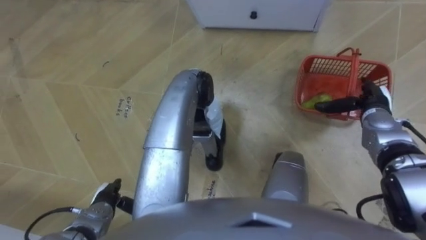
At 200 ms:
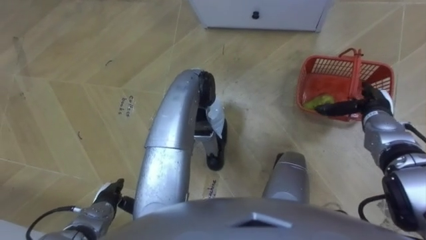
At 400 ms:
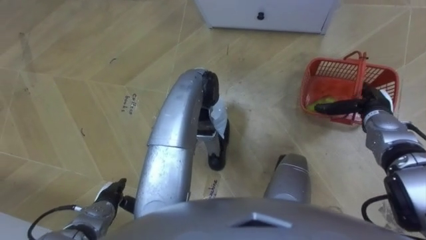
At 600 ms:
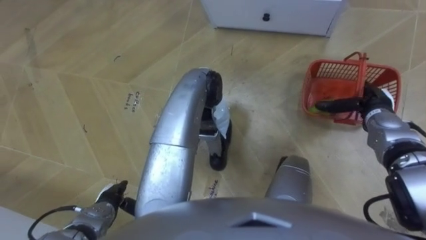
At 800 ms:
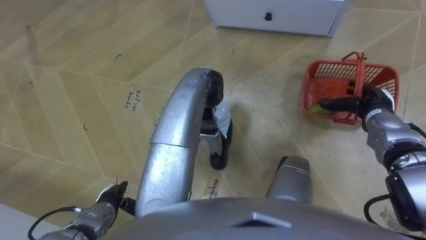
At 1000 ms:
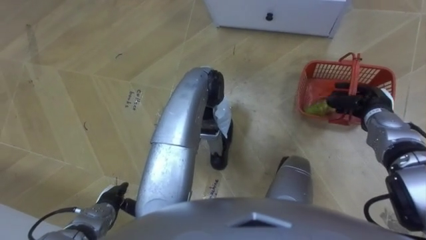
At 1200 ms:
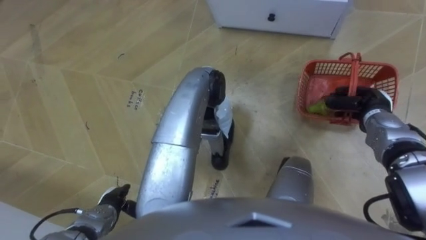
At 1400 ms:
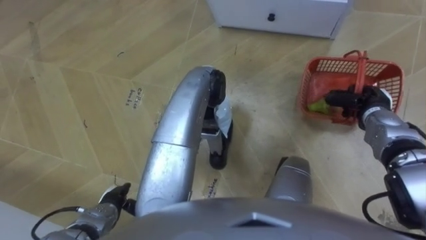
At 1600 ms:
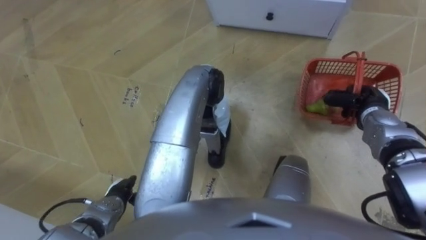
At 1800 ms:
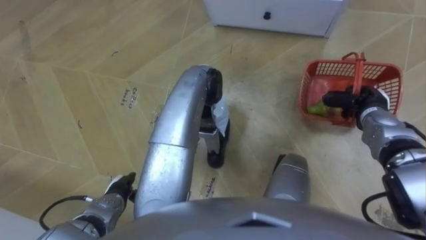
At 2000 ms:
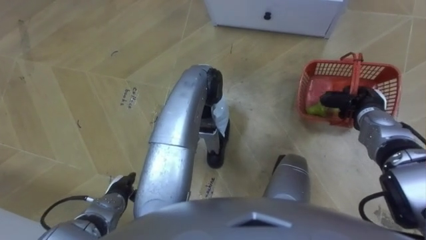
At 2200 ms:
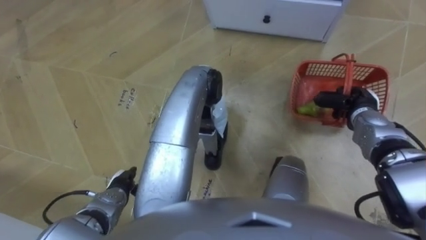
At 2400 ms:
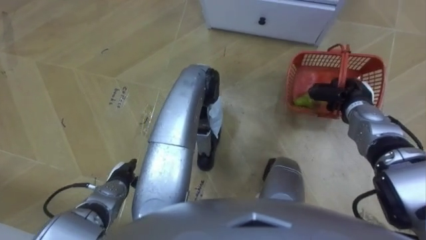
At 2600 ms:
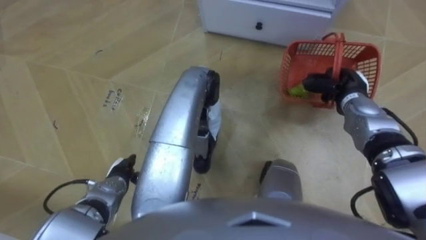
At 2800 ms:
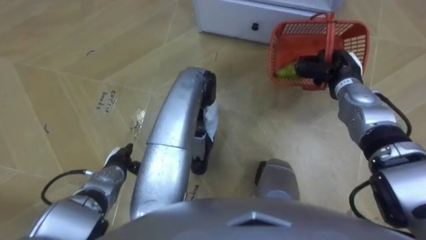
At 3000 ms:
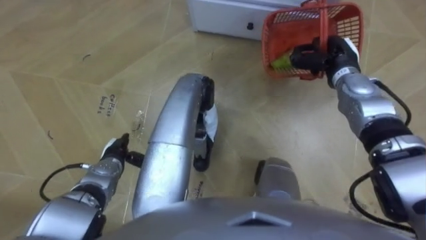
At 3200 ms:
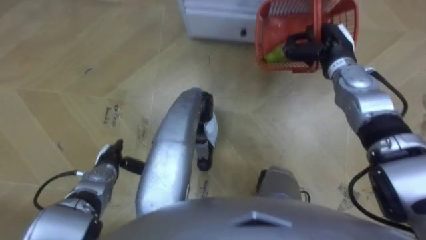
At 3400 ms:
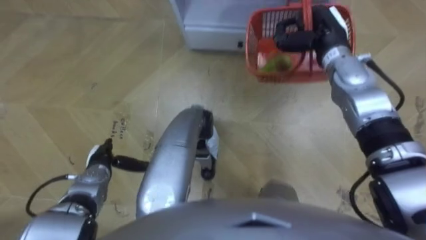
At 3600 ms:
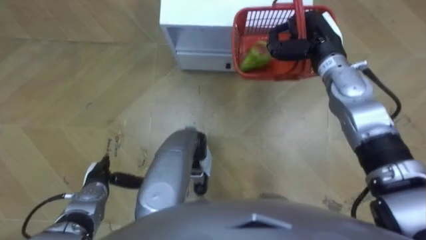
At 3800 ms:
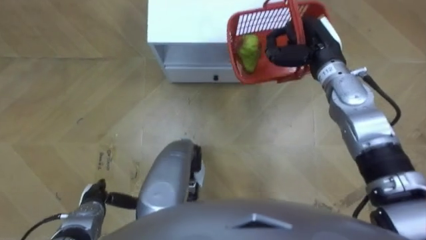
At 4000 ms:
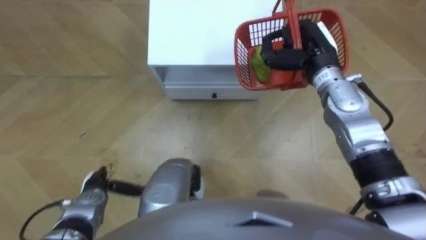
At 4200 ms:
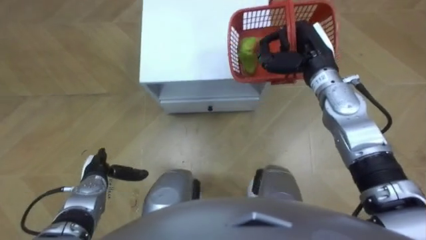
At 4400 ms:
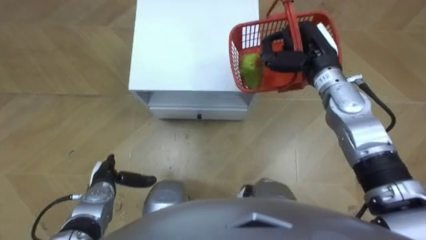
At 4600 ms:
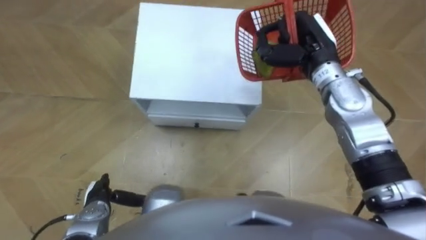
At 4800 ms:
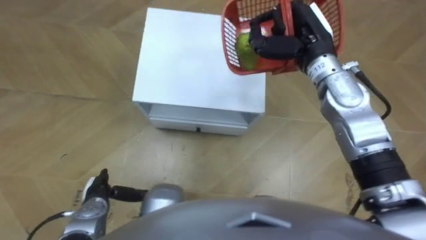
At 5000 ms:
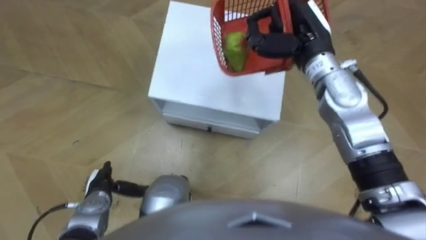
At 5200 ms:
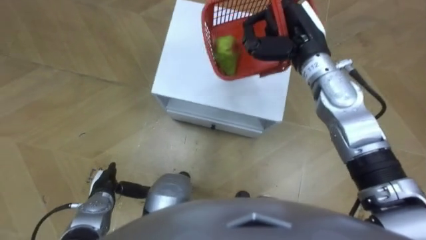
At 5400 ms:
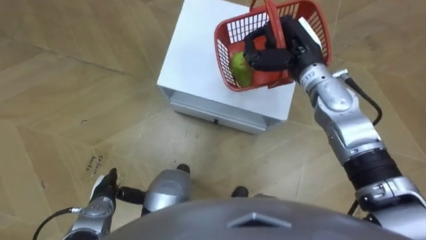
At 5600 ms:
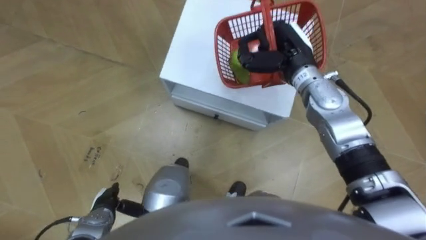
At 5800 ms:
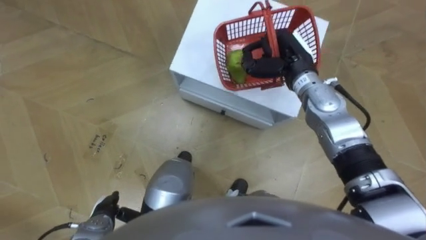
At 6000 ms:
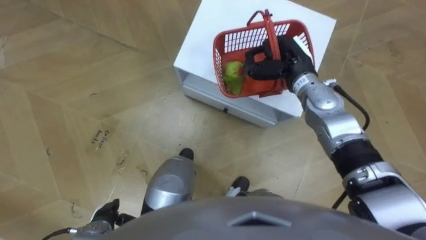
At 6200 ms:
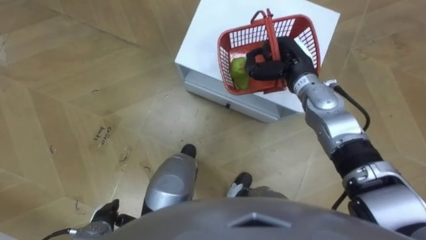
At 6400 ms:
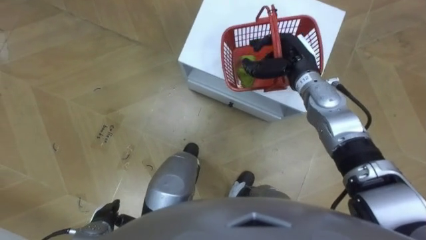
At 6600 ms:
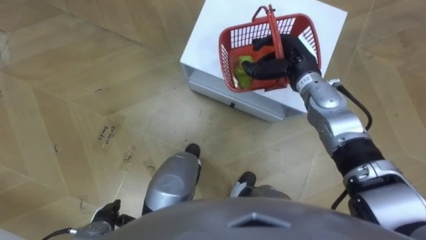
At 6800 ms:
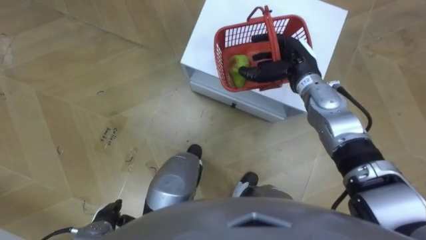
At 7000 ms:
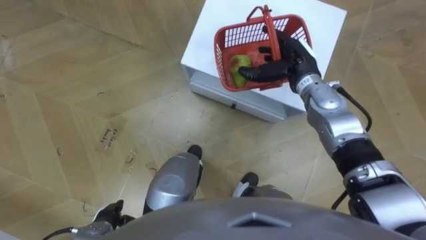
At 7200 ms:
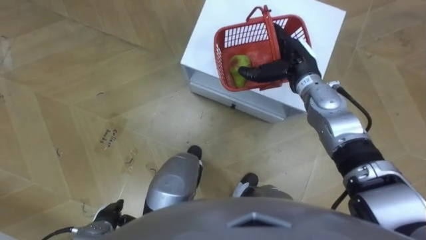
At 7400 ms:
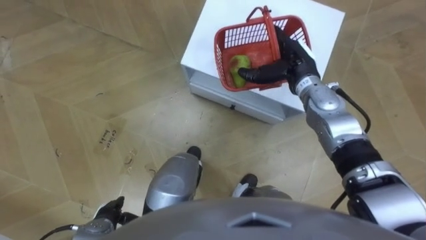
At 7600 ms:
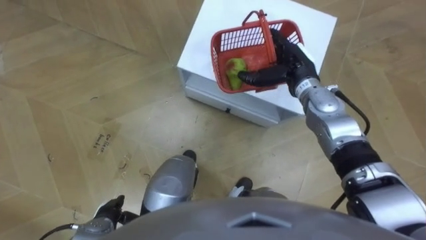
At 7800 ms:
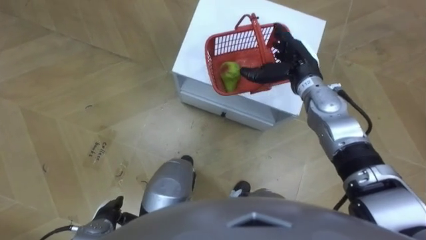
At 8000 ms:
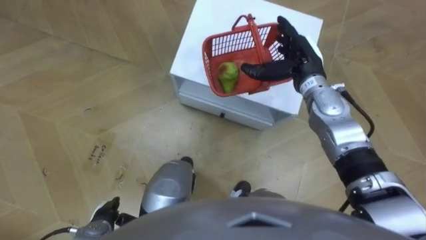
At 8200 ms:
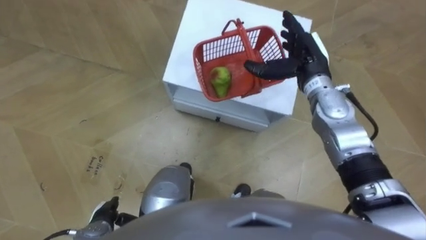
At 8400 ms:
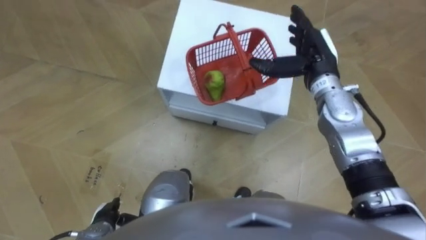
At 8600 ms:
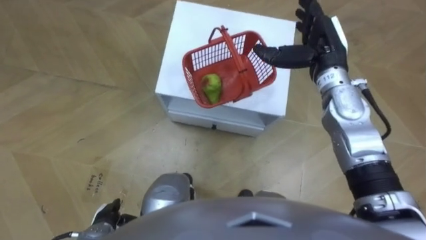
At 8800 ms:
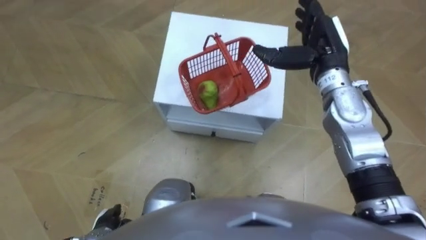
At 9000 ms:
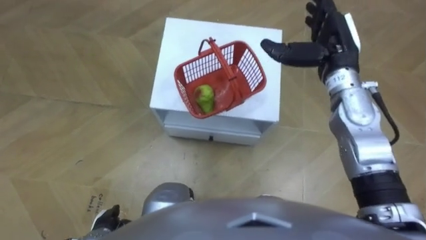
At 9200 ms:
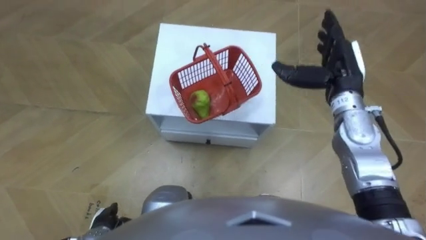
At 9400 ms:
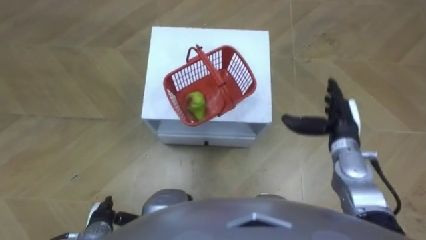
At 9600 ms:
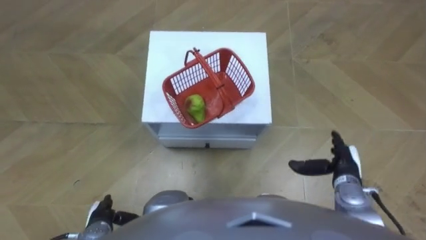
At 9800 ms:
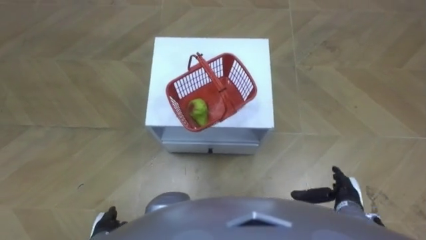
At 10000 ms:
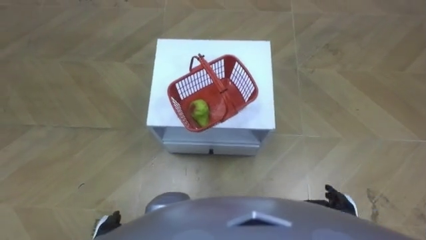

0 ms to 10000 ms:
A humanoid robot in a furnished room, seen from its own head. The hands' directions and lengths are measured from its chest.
Task of the whole recording: Pick up the fruit basket from the floor and place it on the cabinet.
0 ms to 1400 ms: The right hand closes its fingers.
1400 ms to 2800 ms: The right hand is displaced to the left and forward by some 10 cm. The left hand moves forward, approximately 10 cm.
2800 ms to 4200 ms: The right hand is displaced to the left and upward by approximately 10 cm, while the left hand travels backward and back again, about 10 cm each way.
4200 ms to 5800 ms: The left hand moves backward, approximately 10 cm.
5800 ms to 7200 ms: The right hand opens.
7200 ms to 8600 ms: The right hand moves upward, about 5 cm.
8600 ms to 10000 ms: The right hand heads backward and downward, covering about 35 cm.

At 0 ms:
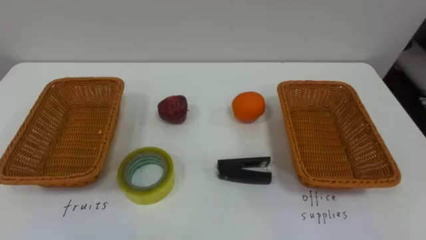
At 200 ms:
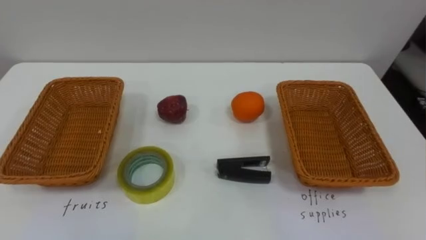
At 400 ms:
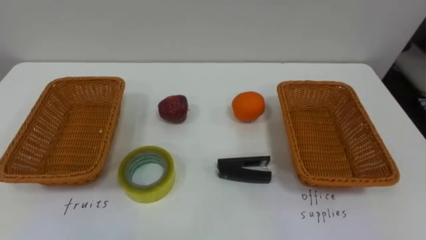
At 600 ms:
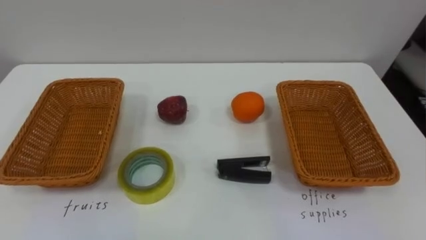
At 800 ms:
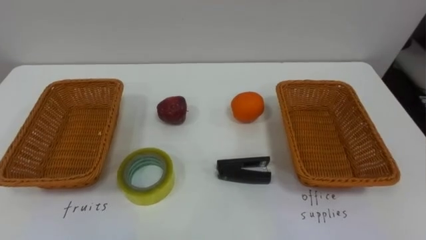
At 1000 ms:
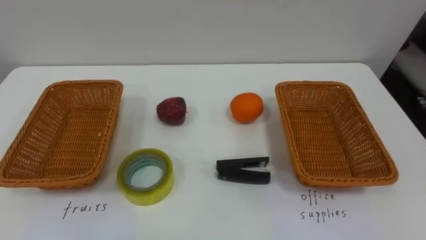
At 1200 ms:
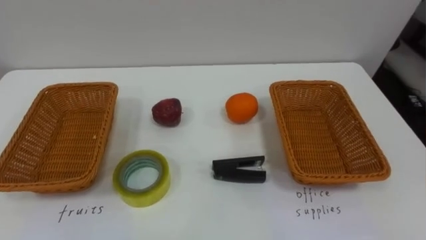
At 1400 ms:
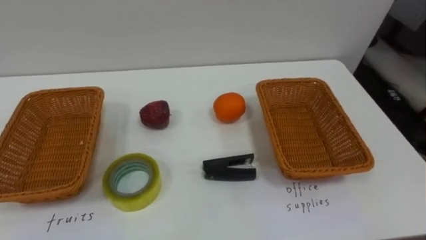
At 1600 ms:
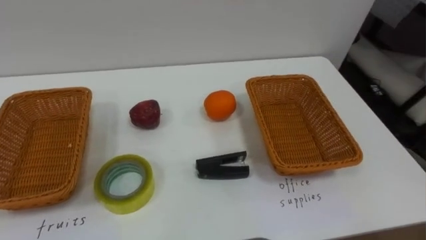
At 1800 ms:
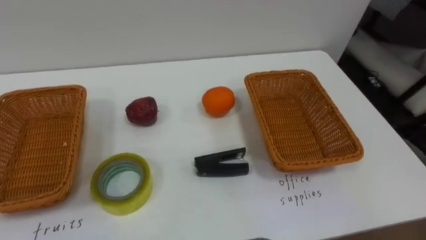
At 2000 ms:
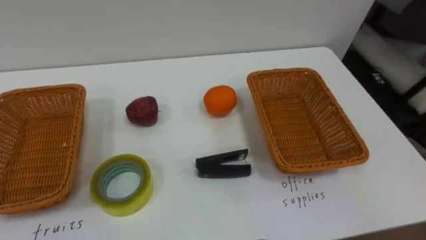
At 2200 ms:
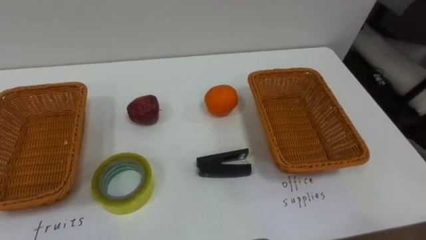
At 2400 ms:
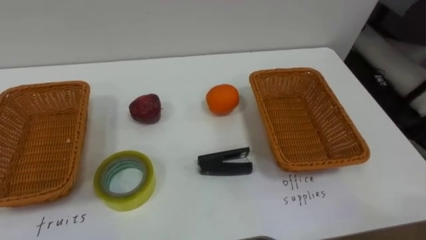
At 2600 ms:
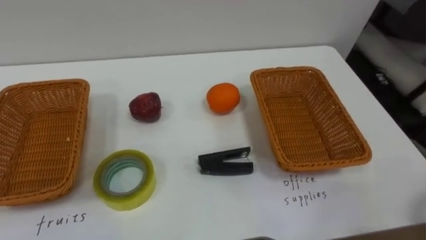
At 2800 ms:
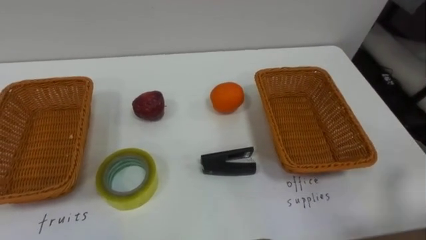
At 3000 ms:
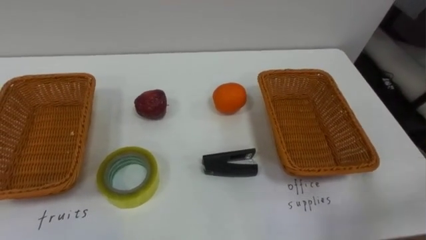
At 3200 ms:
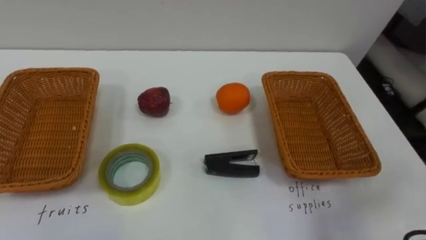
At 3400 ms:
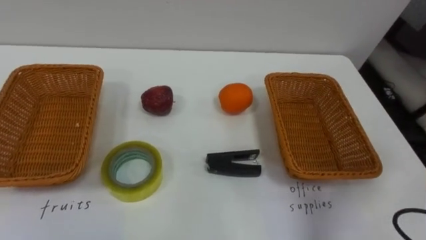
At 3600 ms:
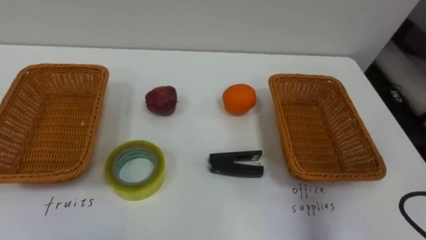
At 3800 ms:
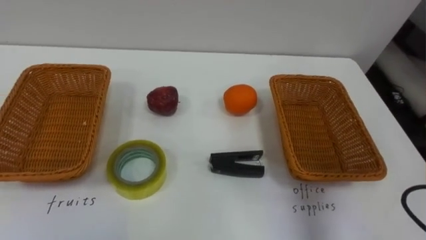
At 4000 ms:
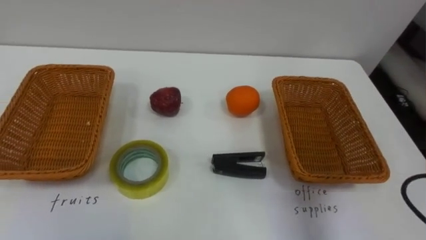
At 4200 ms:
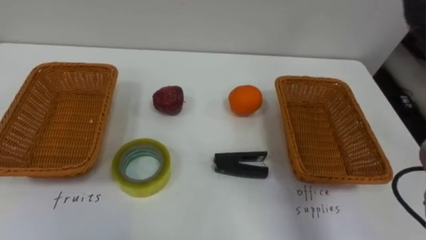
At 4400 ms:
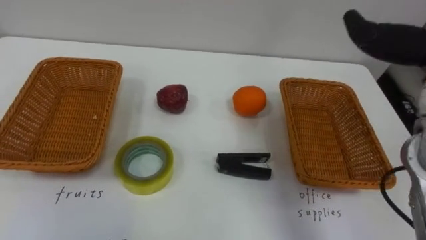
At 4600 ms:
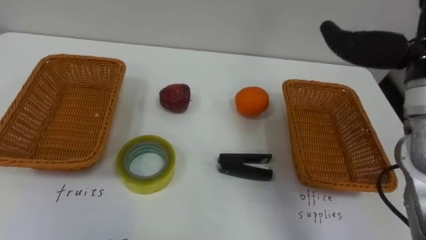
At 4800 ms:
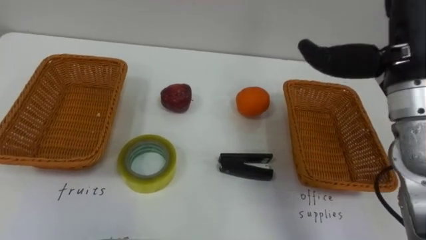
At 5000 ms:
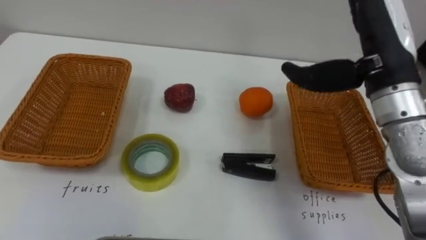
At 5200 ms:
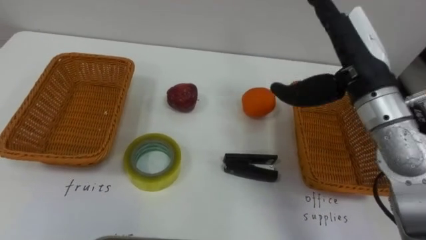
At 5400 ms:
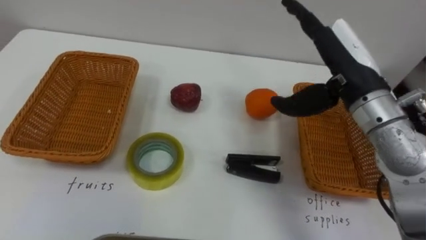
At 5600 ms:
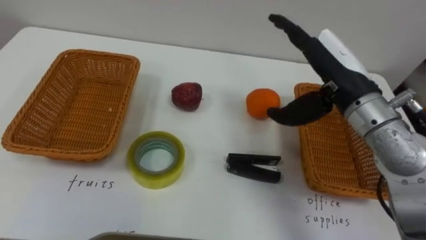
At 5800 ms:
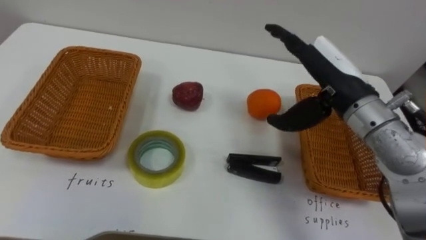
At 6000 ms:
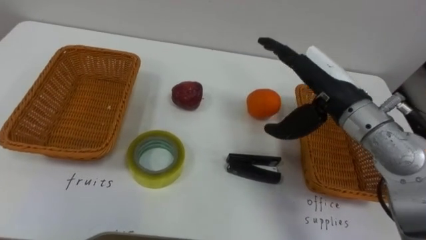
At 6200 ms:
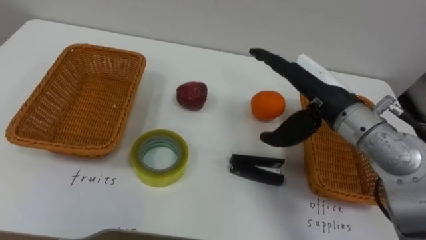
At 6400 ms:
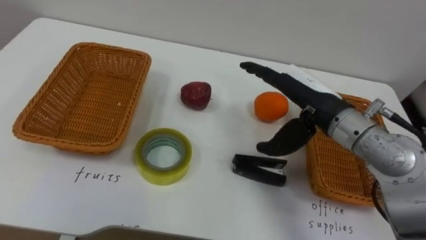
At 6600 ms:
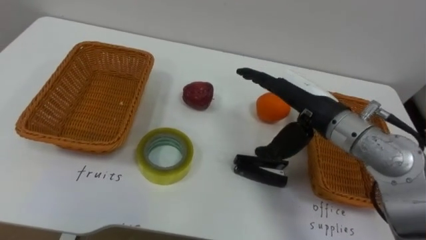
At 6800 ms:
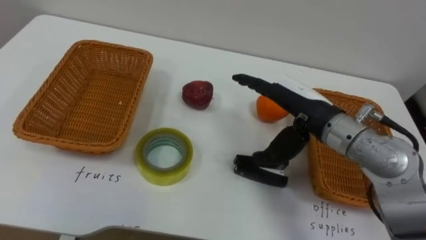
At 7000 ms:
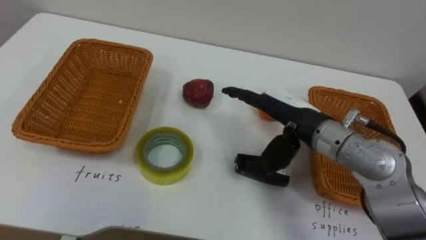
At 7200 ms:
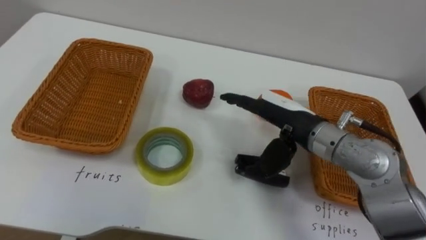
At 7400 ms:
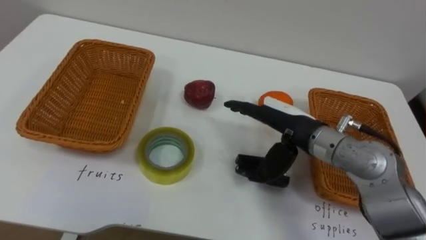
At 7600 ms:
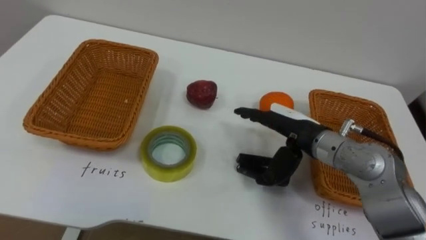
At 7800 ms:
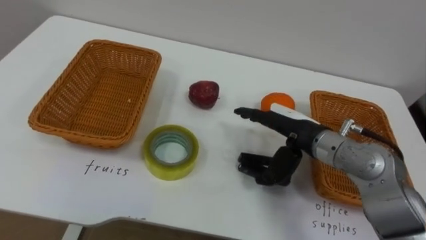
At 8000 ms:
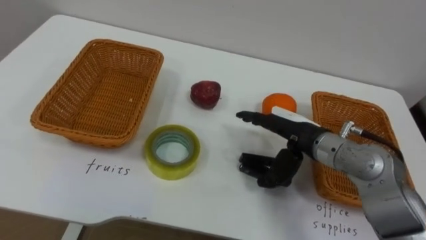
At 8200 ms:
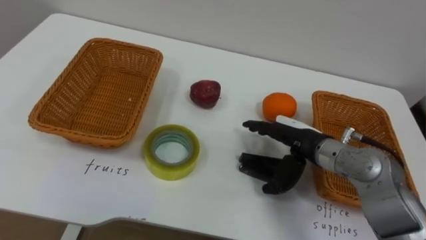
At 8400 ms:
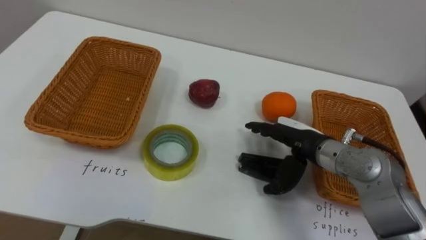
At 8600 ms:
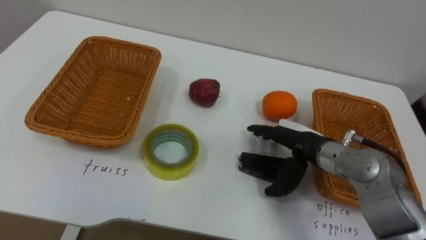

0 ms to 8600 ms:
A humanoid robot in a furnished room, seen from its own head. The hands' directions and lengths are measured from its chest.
Task of the whole recording: Separate the items on the table and place them into the two baskets.
5800 ms to 7200 ms: The right hand shifts some 10 cm downward and to the left.
7200 ms to 8600 ms: The right hand moves downward, approximately 5 cm.
